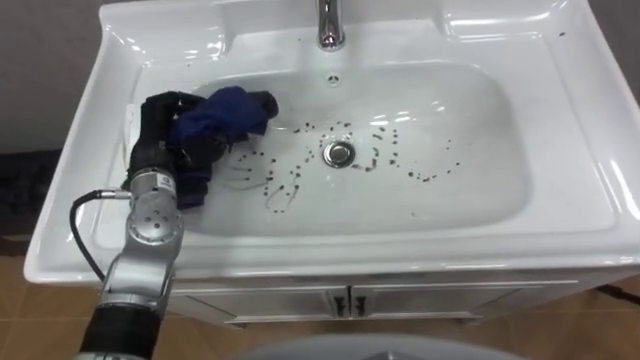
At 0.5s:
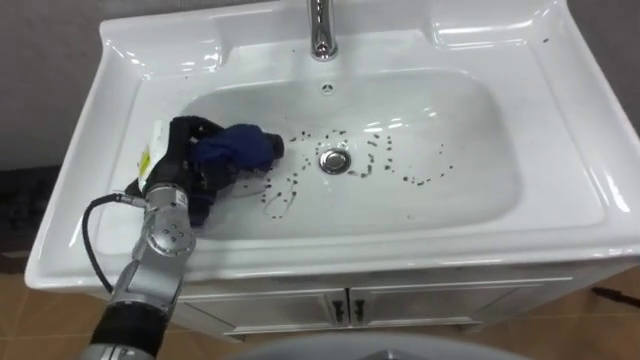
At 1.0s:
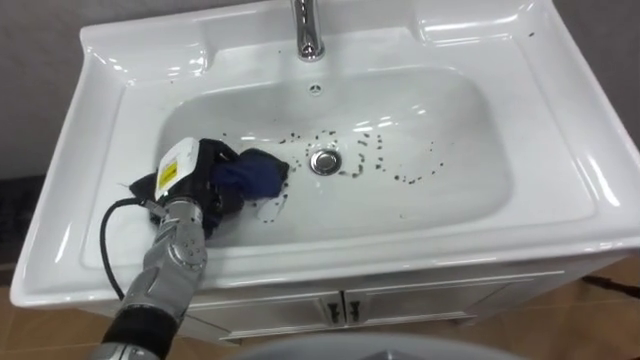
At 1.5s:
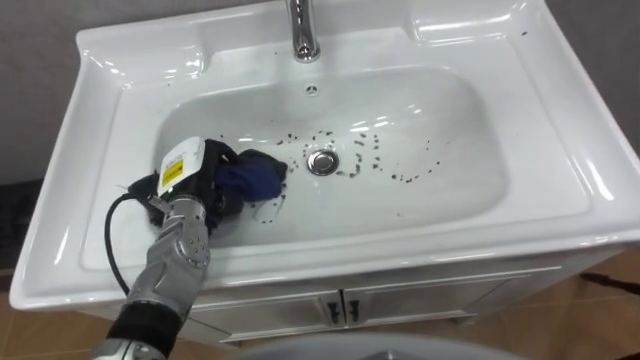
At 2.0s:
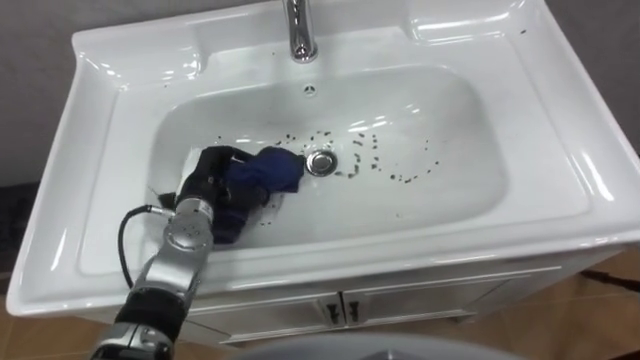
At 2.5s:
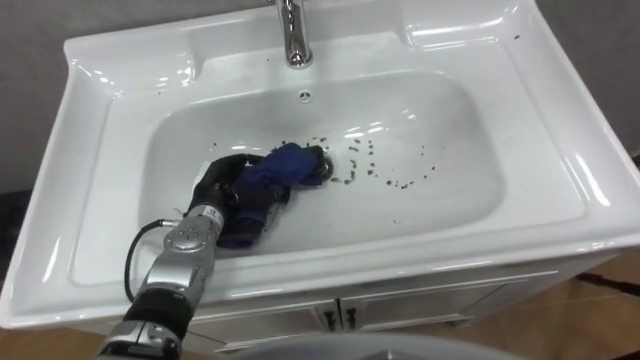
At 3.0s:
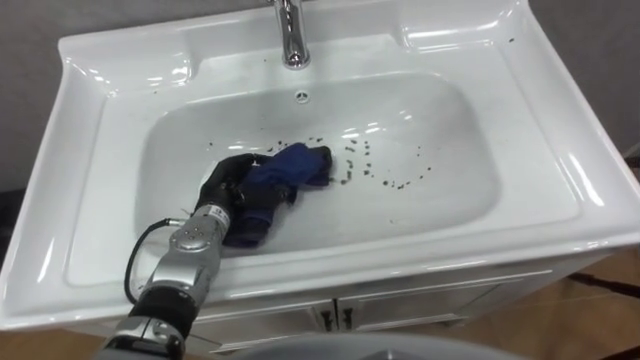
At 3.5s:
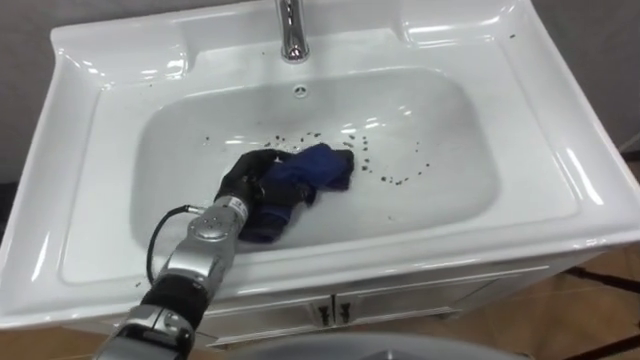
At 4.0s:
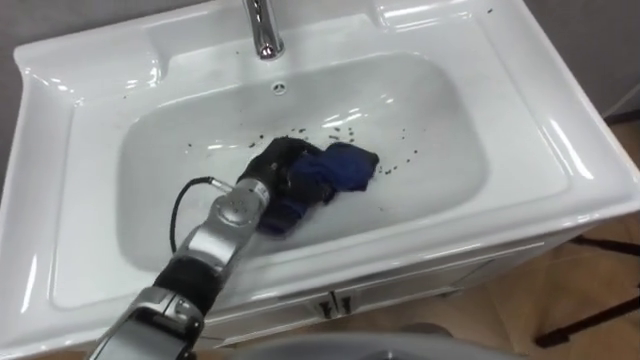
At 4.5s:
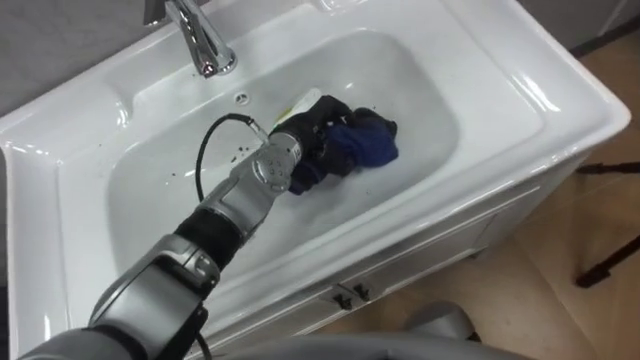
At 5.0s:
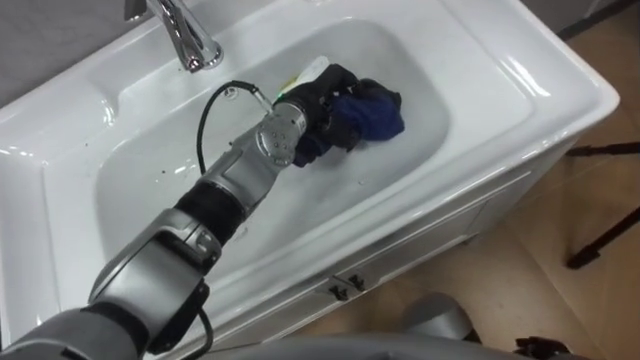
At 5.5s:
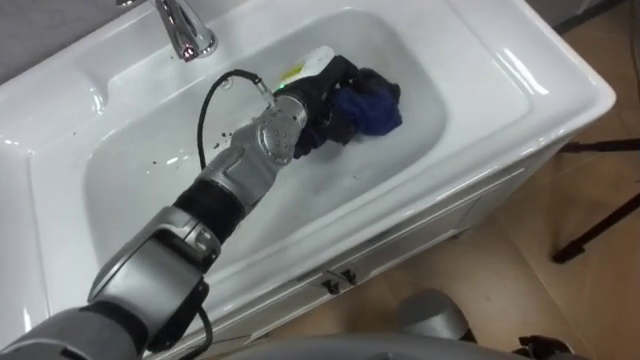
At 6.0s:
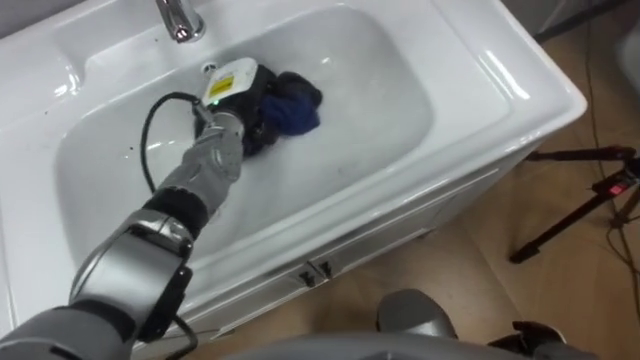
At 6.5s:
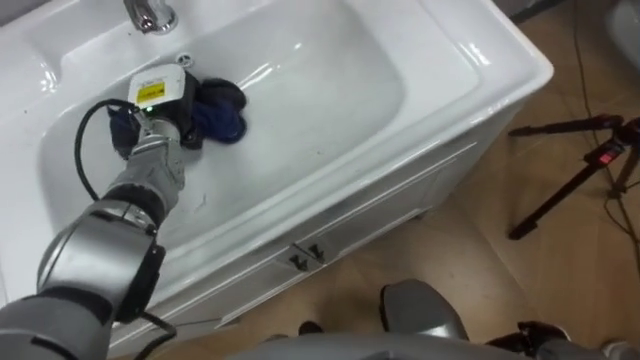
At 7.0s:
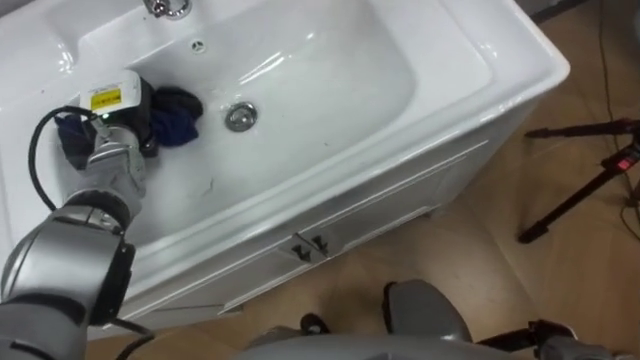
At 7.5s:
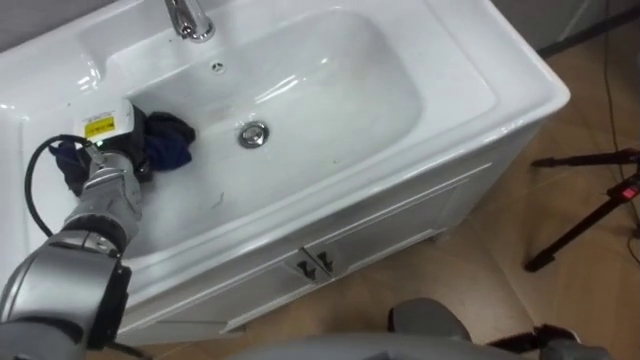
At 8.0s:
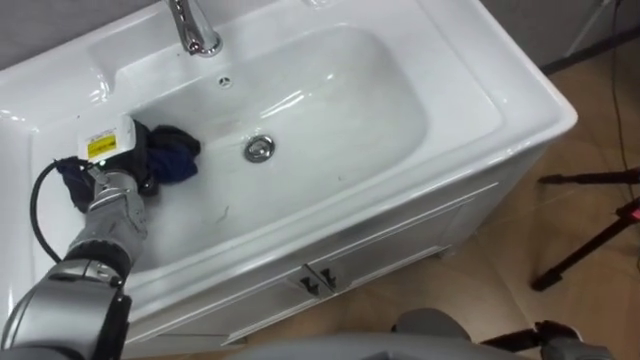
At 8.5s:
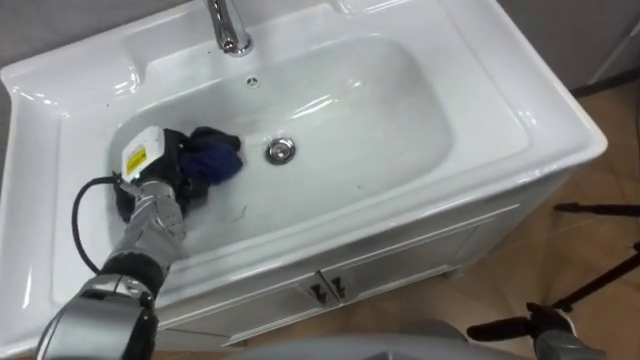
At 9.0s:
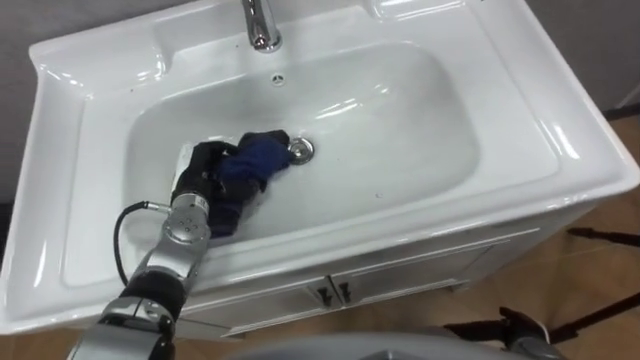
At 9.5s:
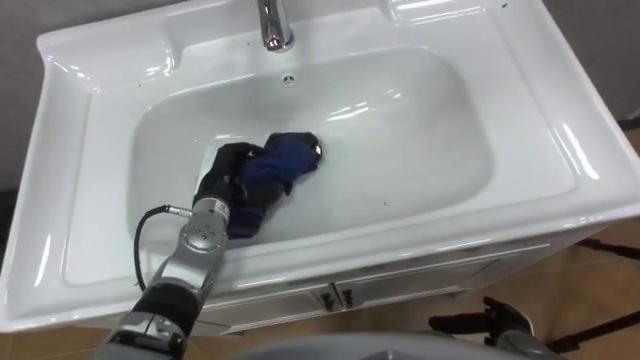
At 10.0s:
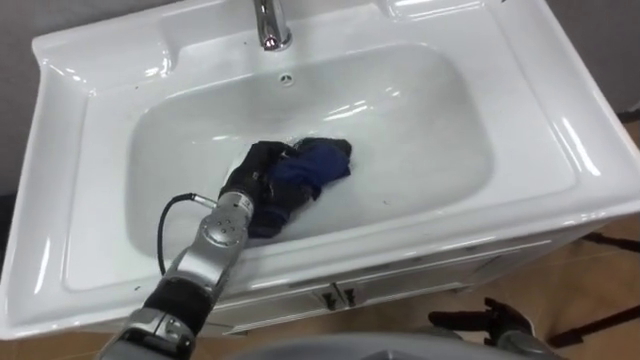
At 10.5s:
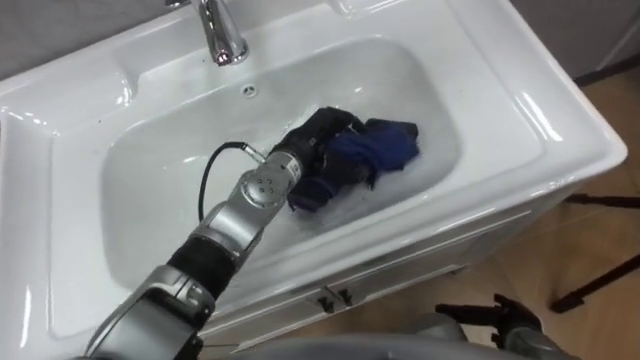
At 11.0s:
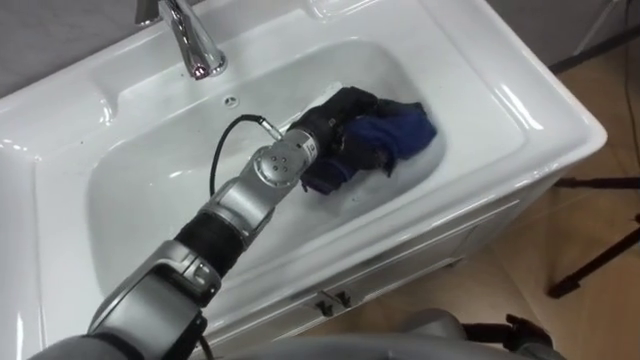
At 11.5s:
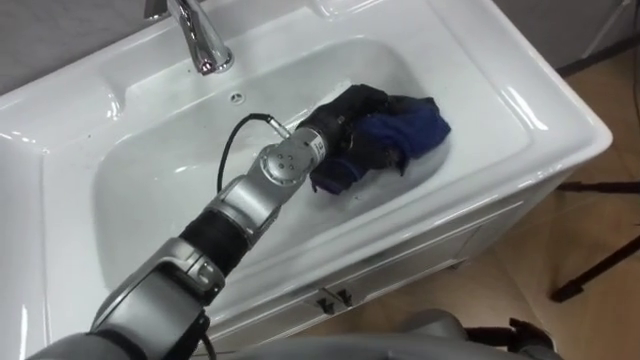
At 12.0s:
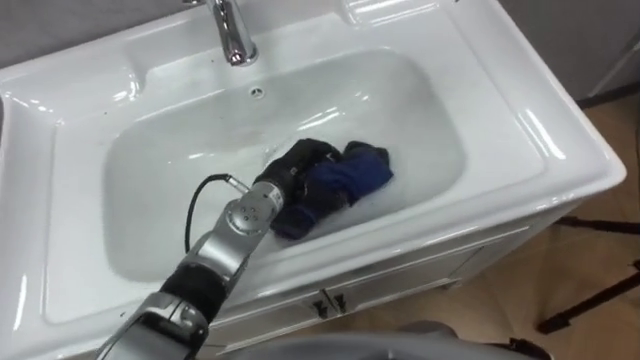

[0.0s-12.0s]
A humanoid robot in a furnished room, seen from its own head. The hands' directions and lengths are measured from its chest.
Task of the whole recording: Use the cloth on the right to wipe away the black stain in the sink.
0.0s to 2.0s: The left hand shifts roughly 10 cm downward.
2.0s to 4.0s: The left hand is displaced to the right by approximately 10 cm.
4.0s to 6.0s: The left hand moves forward and upward, about 10 cm.
6.0s to 8.0s: The left hand goes about 20 cm to the left and backward.
8.0s to 10.0s: The left hand travels to the right by about 20 cm.
10.0s to 12.0s: The left hand travels to the right by some 5 cm.

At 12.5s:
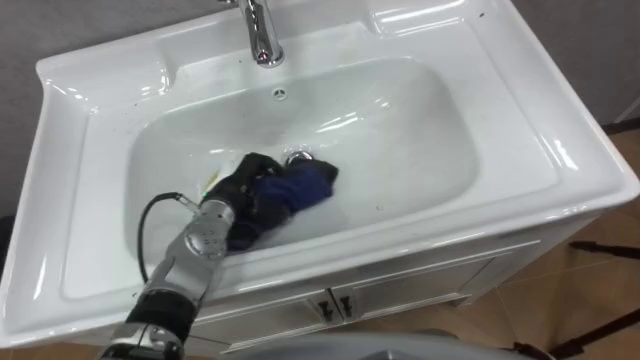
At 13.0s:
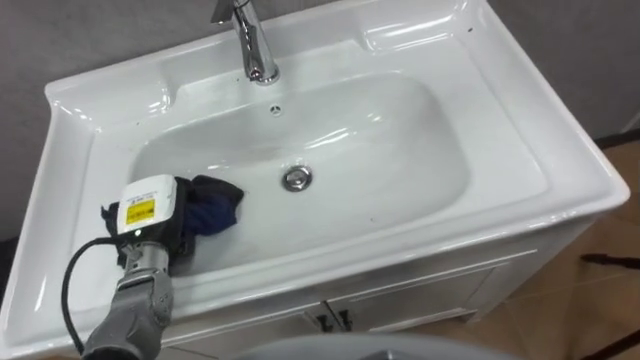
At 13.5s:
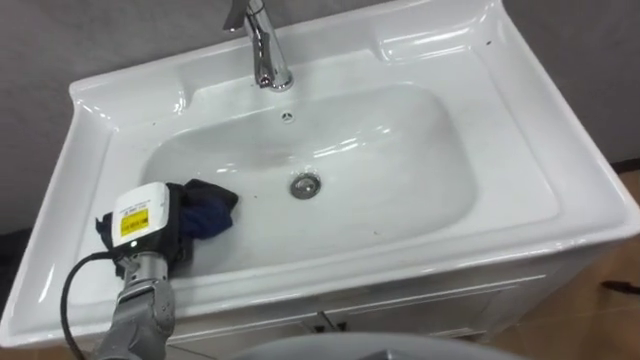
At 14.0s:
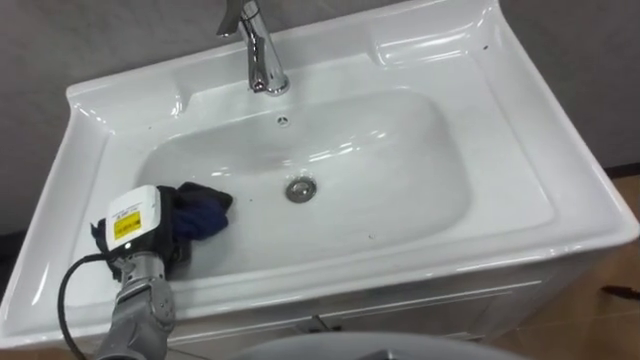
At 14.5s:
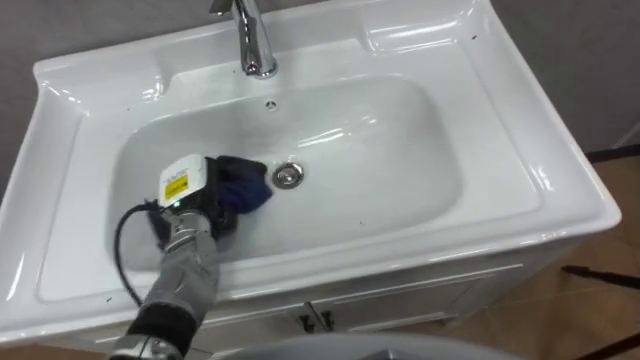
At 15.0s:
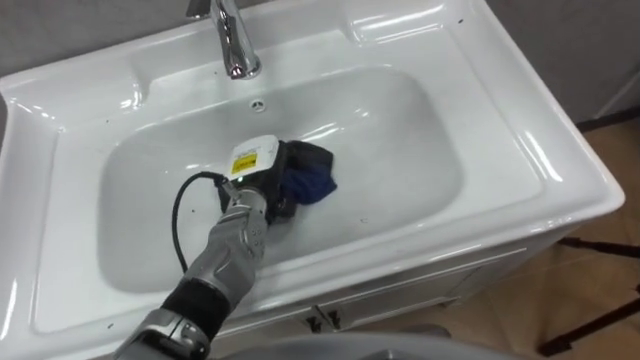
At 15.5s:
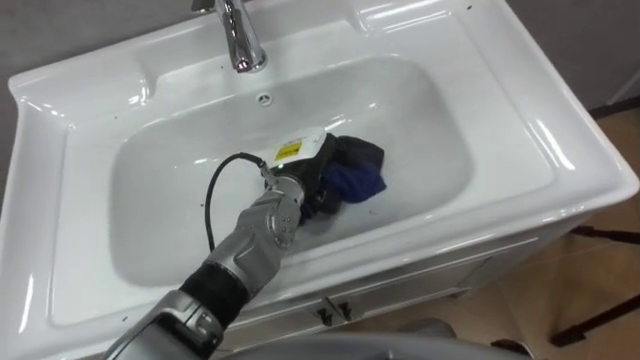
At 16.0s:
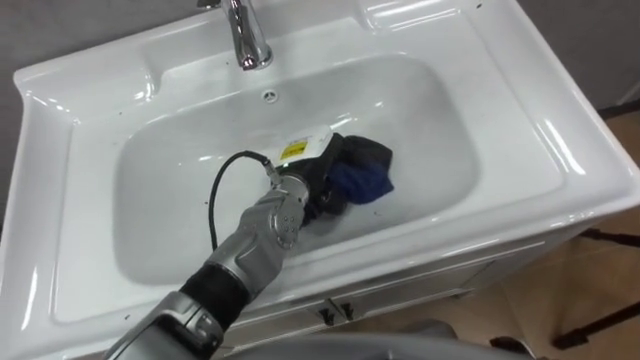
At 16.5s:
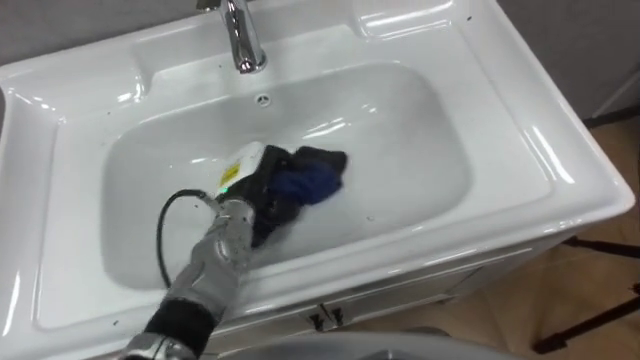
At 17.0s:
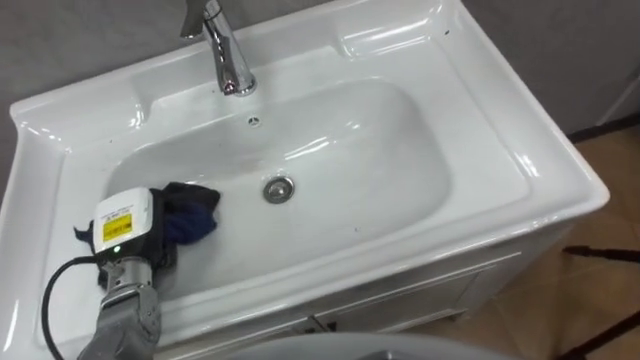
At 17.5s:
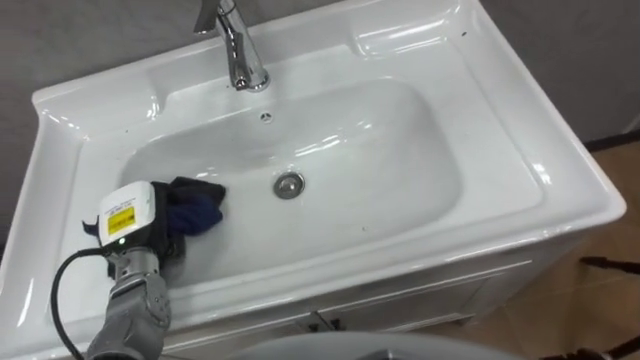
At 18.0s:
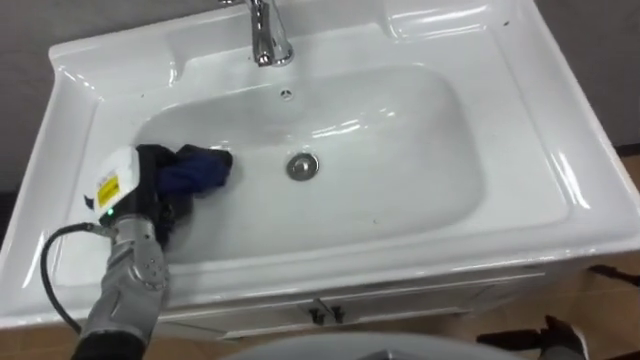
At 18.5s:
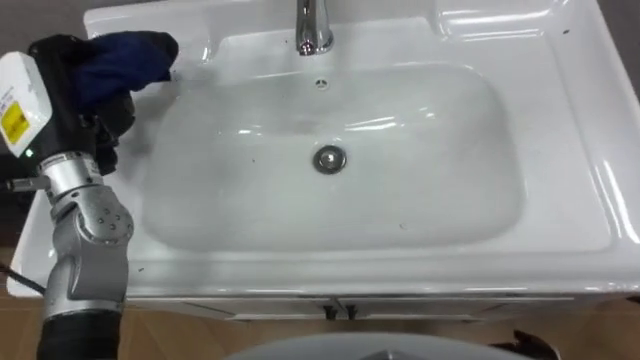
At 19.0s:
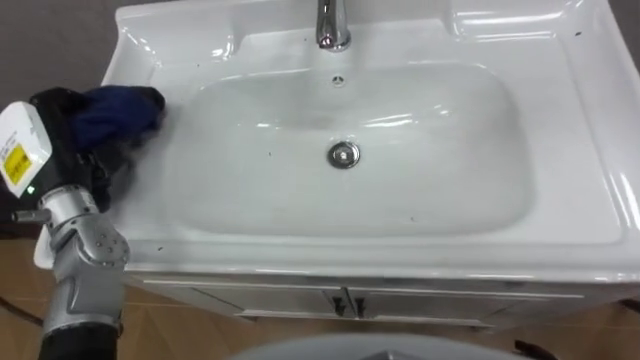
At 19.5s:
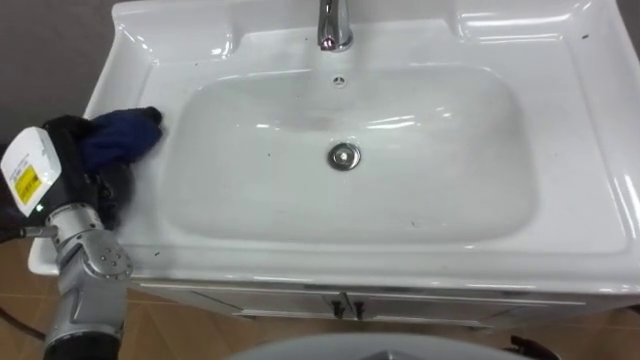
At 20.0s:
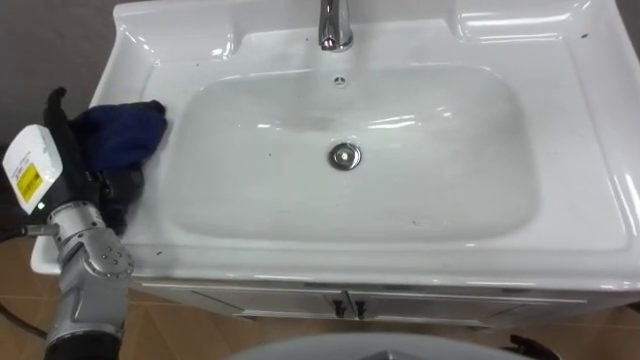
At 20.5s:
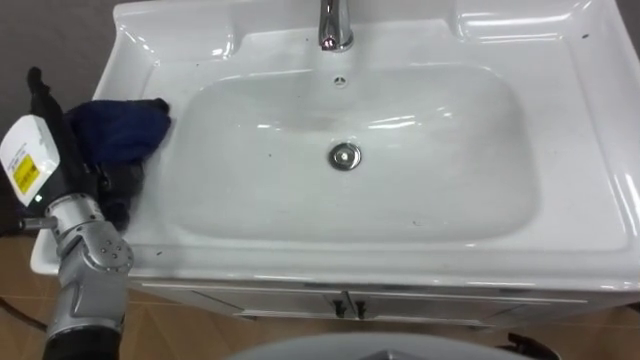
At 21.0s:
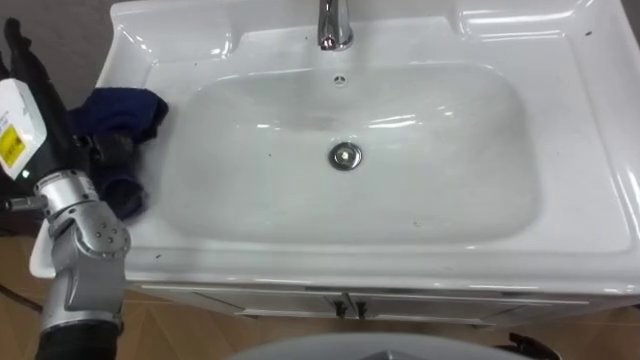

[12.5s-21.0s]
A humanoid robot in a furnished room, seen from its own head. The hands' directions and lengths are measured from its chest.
Task of the whole recording: Use the cloth on the right to wipe away the black stain in the sink.
12.5s to 14.5s: The left hand goes roughly 5 cm to the left.
14.5s to 16.5s: The left hand moves to the right, about 10 cm.
16.5s to 19.0s: The left hand moves to the left and upward, approximately 25 cm.
19.0s to 21.0s: The left hand opens.
